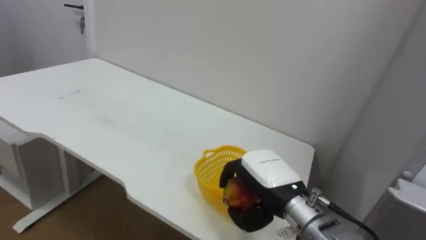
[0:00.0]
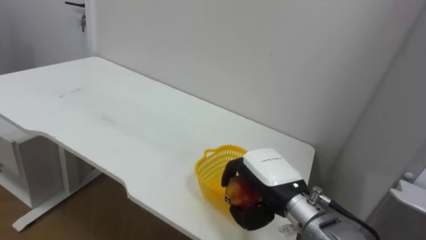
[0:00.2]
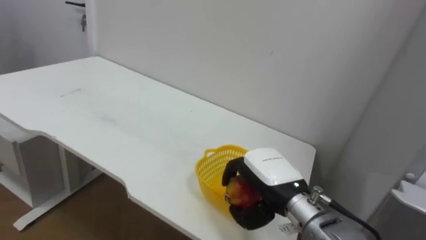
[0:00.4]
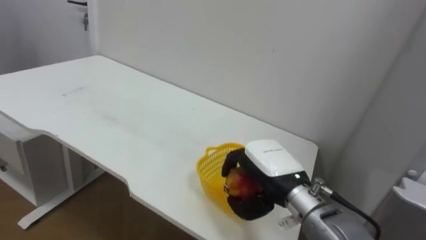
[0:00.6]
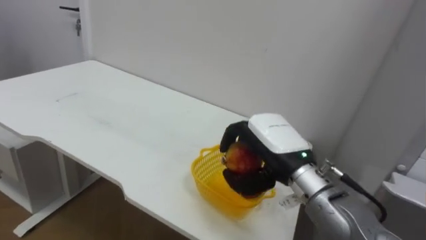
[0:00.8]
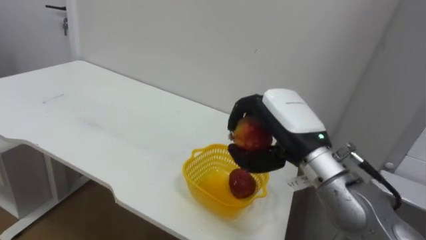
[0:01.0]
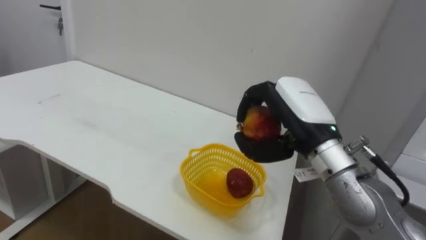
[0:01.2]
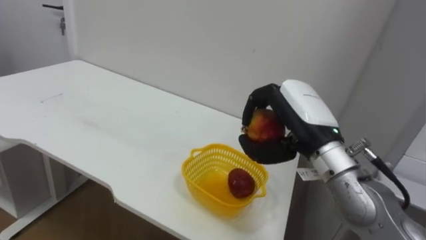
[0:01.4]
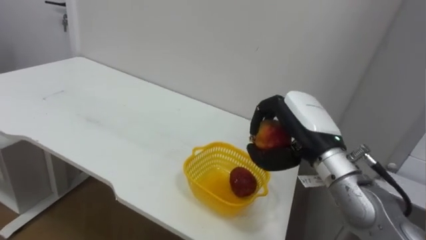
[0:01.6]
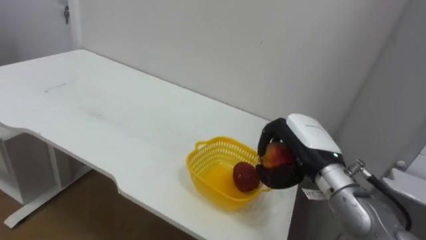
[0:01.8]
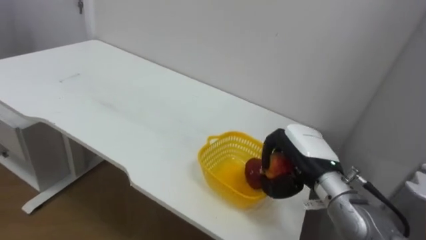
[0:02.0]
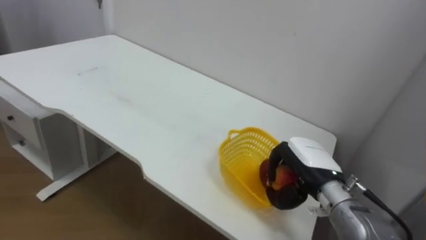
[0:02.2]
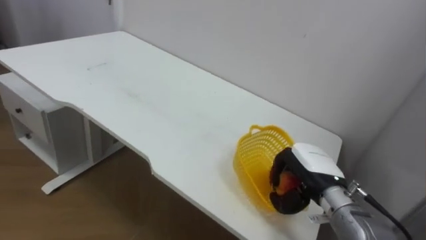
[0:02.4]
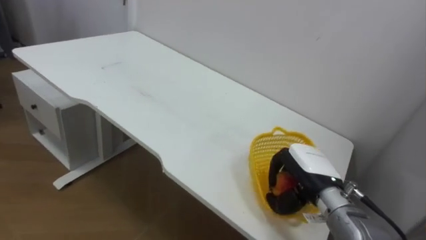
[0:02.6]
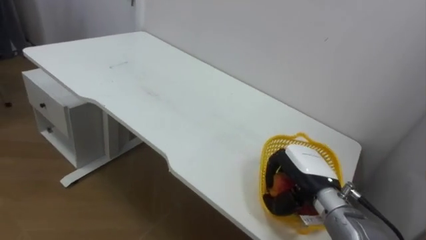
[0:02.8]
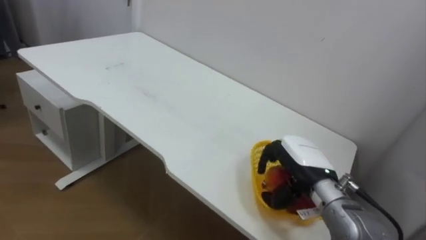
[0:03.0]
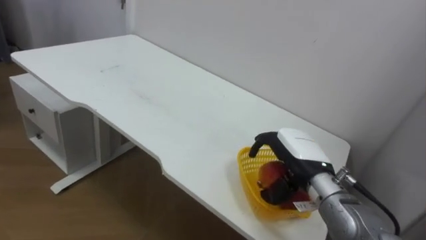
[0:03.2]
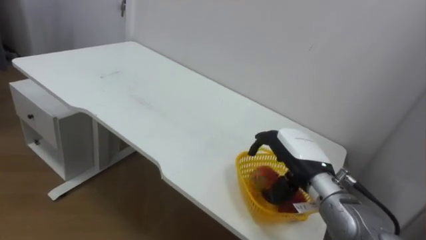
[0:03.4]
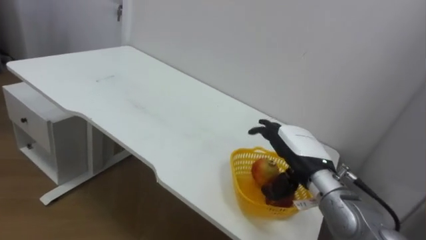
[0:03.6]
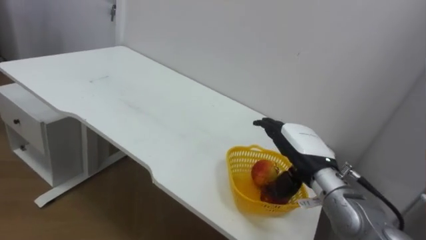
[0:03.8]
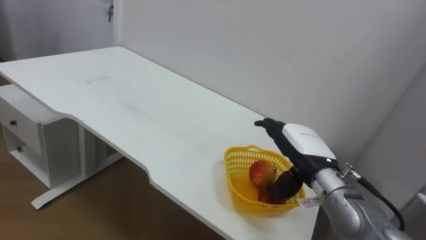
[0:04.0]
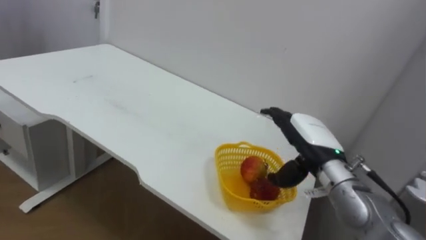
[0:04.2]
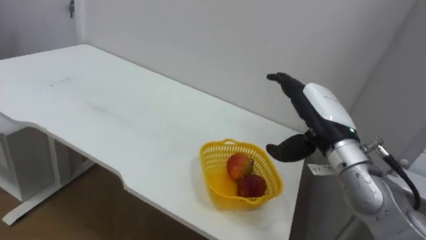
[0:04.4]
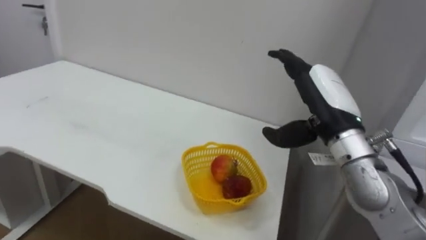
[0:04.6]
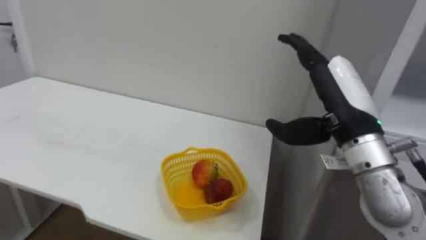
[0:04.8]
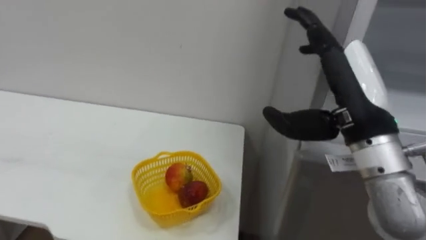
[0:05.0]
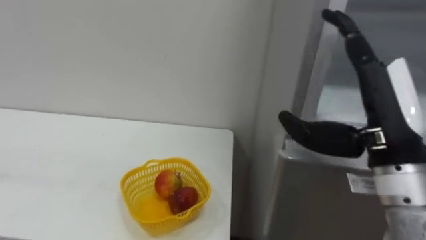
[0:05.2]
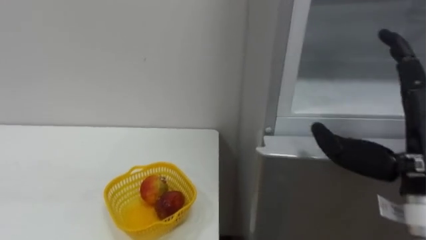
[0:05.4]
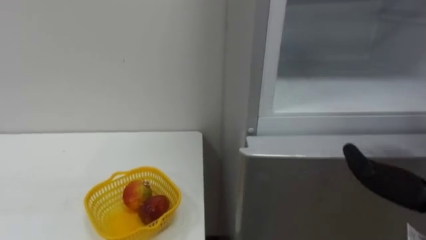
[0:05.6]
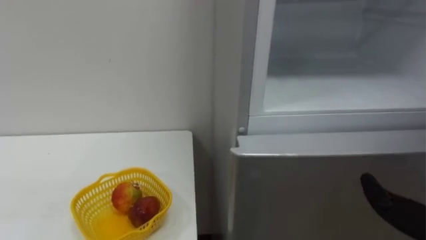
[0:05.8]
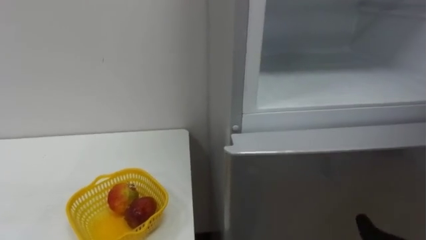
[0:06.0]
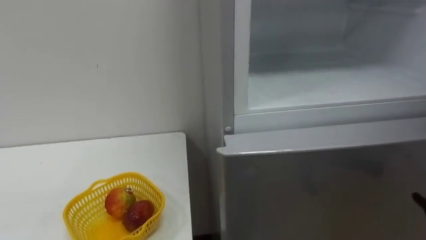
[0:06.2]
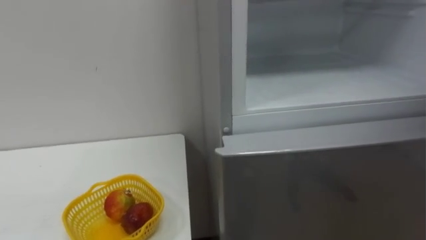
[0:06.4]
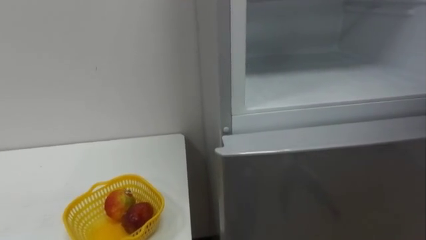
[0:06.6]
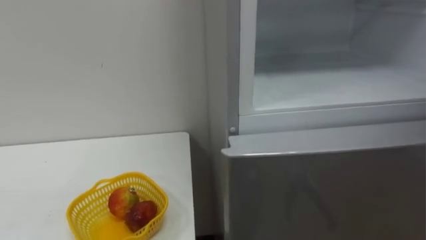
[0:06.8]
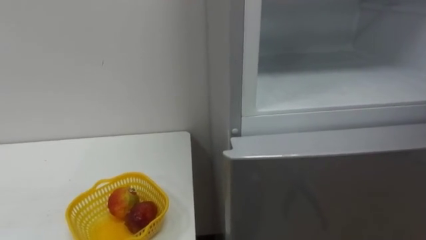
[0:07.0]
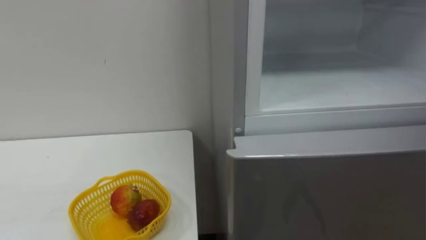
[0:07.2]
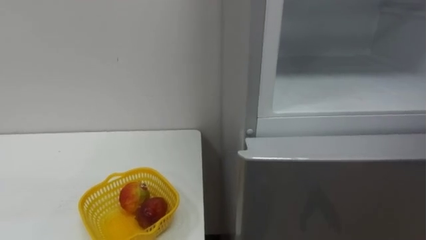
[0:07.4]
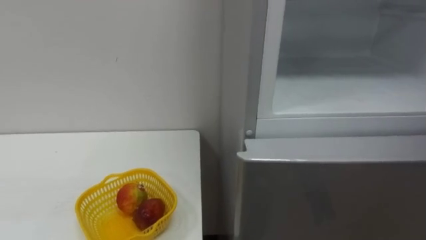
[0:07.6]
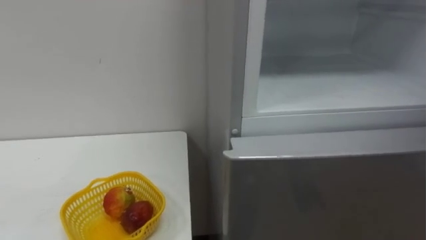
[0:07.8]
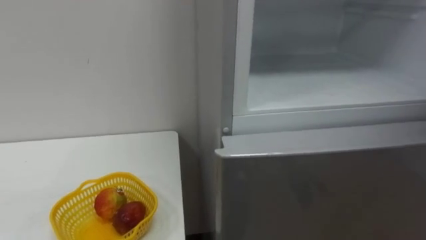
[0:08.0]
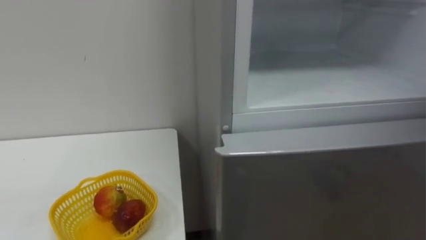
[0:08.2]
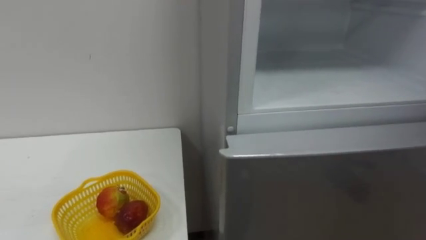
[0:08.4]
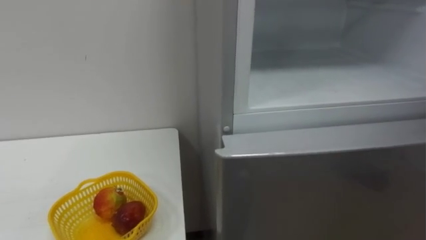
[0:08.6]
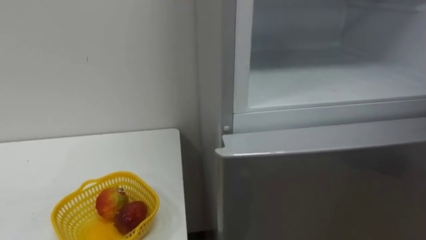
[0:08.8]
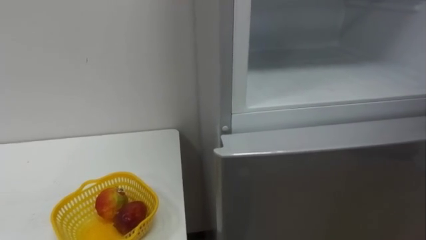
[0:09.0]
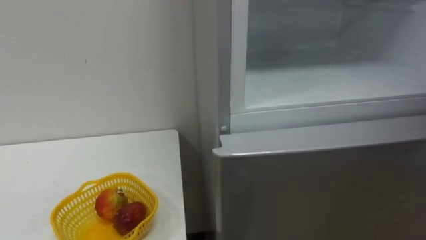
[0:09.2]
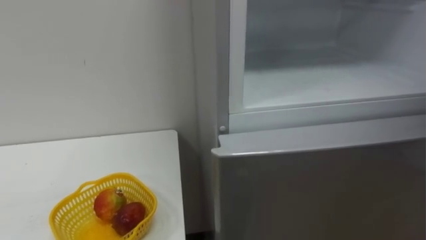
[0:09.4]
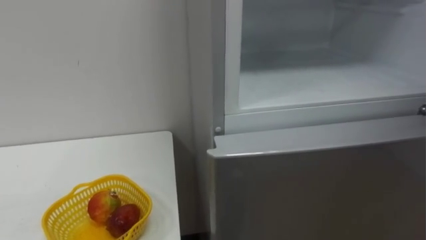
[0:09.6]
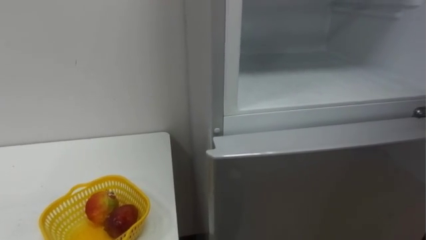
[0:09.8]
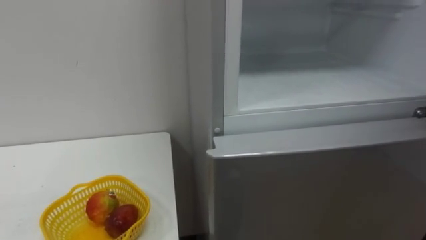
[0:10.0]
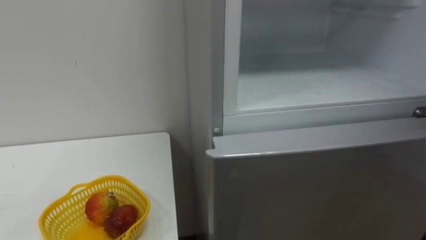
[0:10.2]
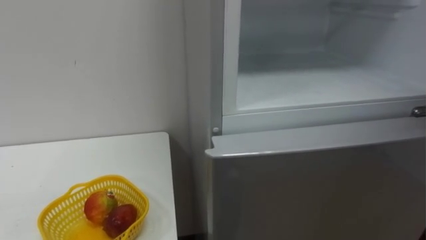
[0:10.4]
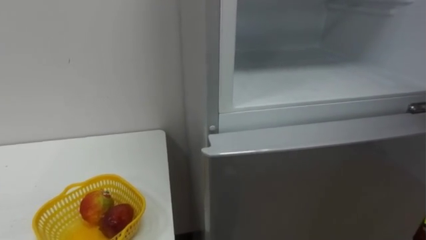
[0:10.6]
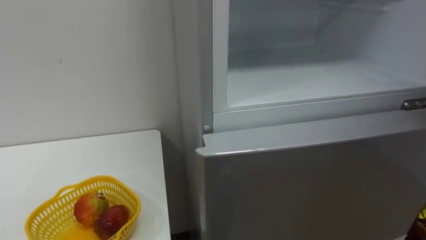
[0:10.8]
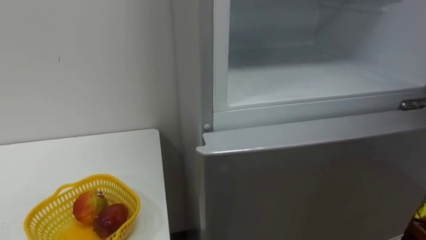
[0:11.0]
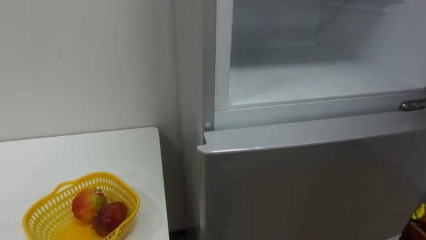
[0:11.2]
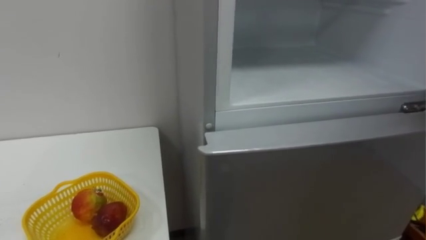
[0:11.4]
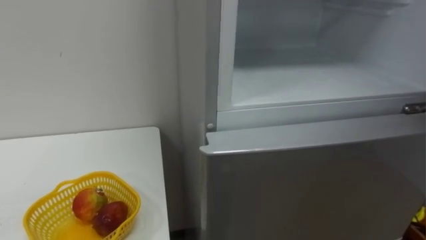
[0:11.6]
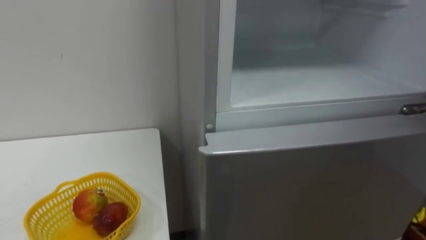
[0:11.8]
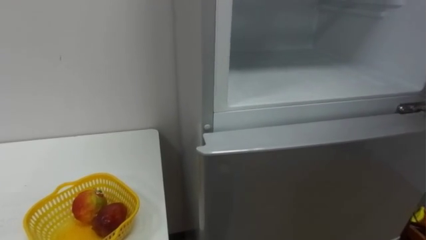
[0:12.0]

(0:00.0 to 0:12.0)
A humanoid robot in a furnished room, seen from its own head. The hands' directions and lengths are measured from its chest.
Task of the whole recording: Open the refrigerator door, take out the apple and the pomegranate, place them in the fruit basket on the left, and close the refrigerator door.
0:00.0 - 0:01.6: The right hand is displaced upward and to the right by approximately 10 cm.
0:01.6 - 0:03.0: The right hand is displaced downward by roughly 10 cm.
0:03.0 - 0:04.4: The right hand shifts approximately 10 cm upward, and opens its fingers.

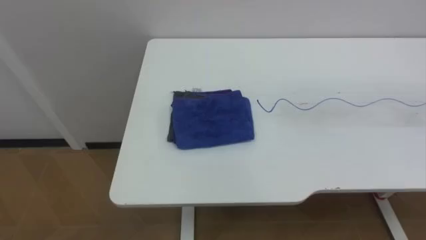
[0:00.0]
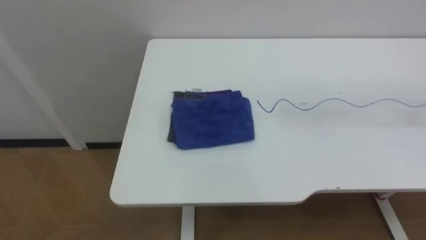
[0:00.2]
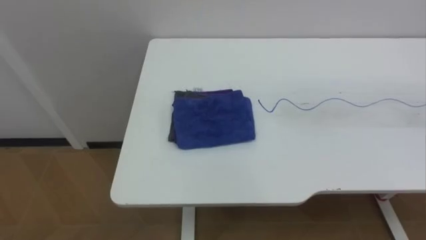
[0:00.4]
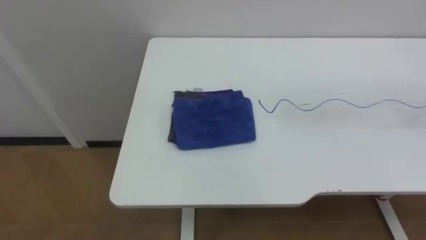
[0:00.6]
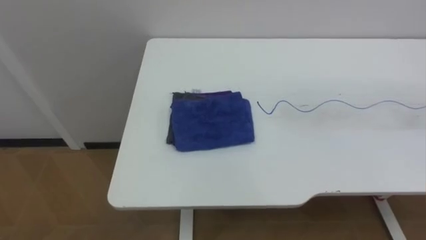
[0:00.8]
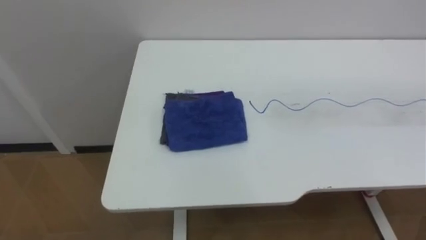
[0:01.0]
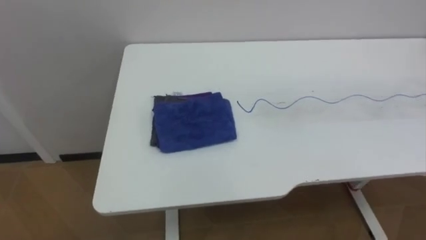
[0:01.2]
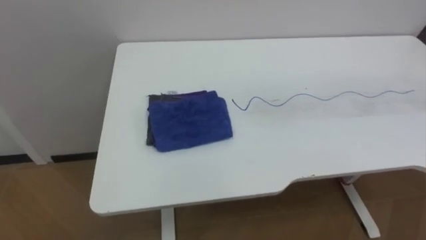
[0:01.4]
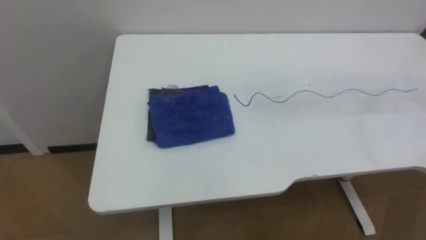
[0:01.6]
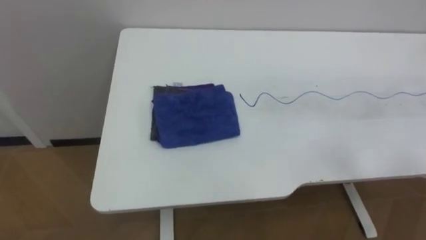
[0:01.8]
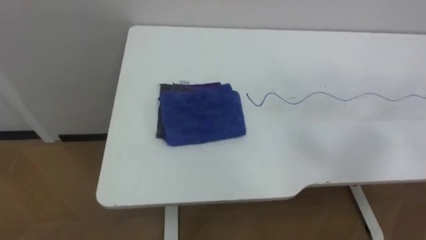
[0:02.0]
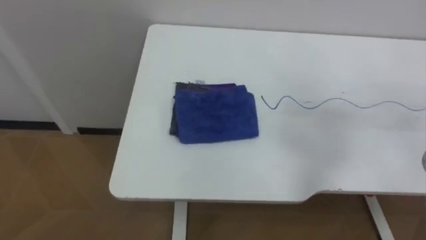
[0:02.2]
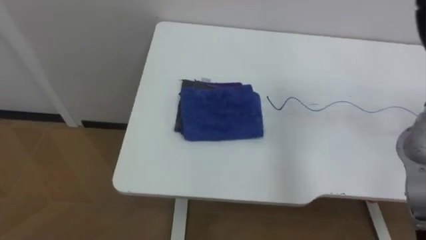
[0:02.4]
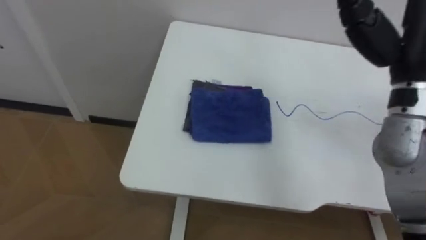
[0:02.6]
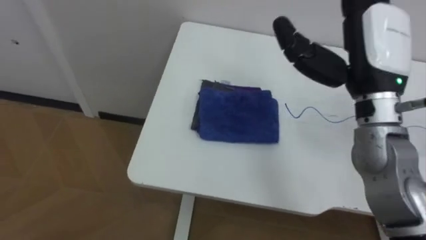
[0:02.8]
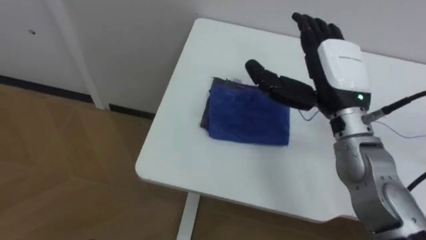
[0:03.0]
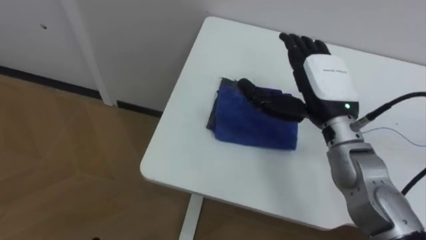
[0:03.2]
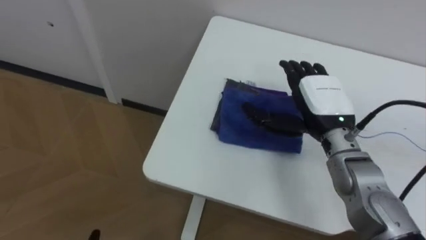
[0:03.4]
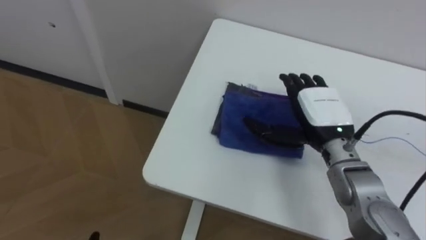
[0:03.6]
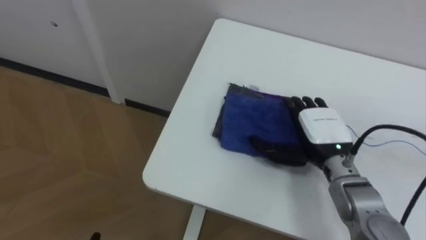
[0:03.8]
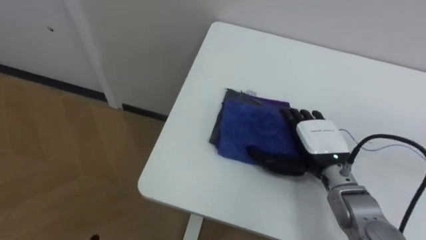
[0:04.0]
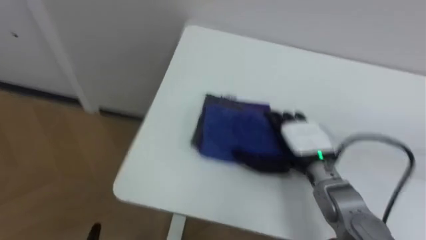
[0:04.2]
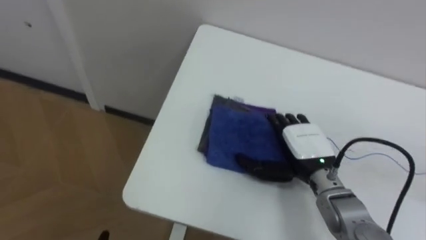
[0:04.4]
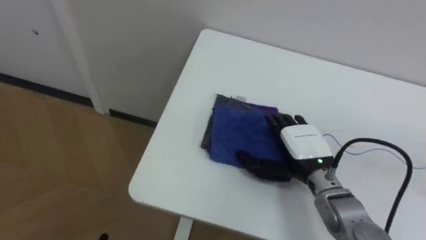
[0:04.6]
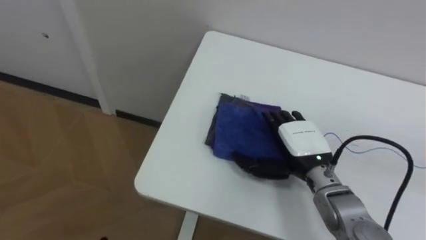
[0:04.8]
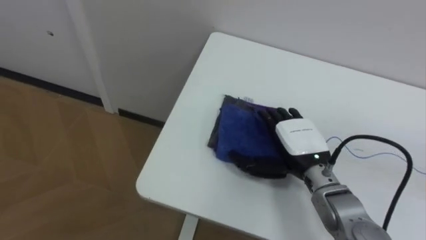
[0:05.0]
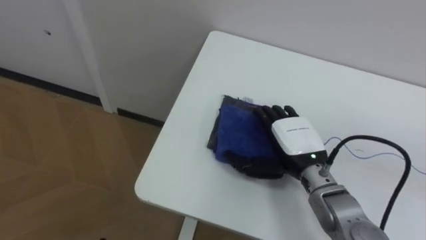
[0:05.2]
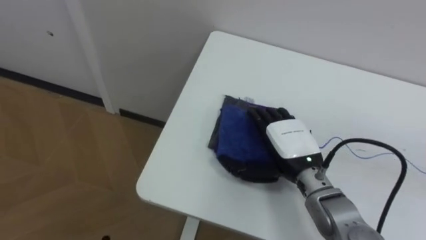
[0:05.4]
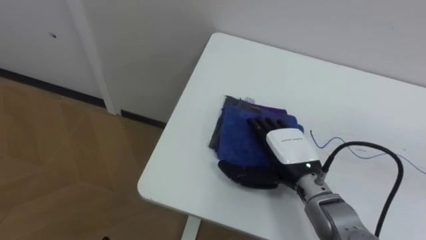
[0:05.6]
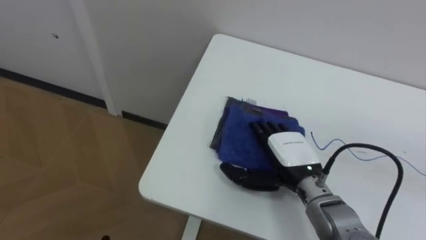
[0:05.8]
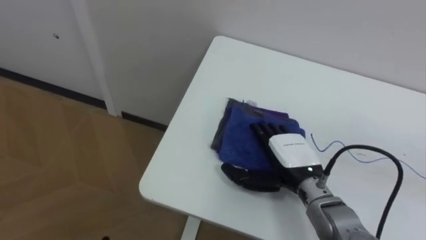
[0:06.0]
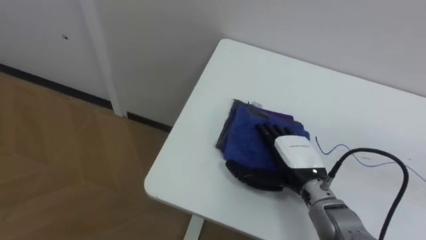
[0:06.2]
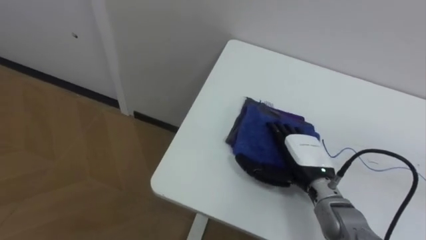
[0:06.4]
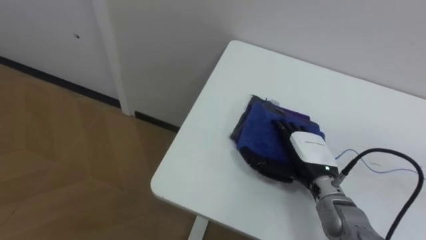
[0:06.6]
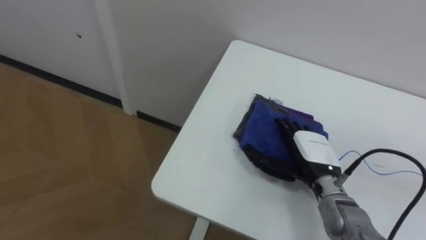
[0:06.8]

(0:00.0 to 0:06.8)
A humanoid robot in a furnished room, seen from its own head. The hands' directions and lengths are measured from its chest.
Task of the whole recording: Wipe the blue pen marks off the table with the rag.
0:02.8 - 0:04.0: The right hand shifts roughly 20 cm downward.
0:04.0 - 0:05.4: The right hand heads to the left, covering approximately 5 cm.
0:05.4 - 0:06.8: The right hand moves roughly 5 cm.
